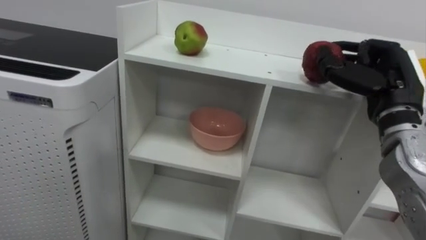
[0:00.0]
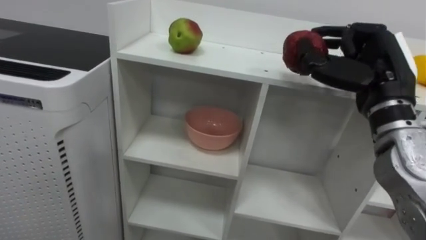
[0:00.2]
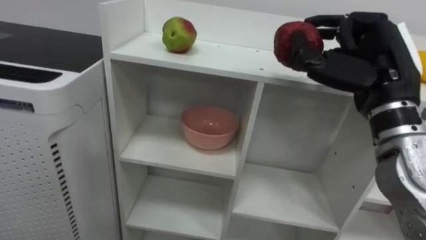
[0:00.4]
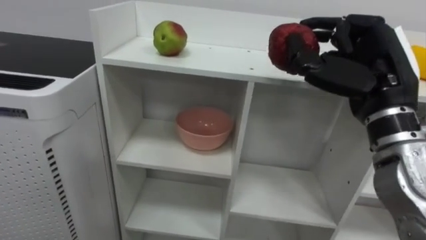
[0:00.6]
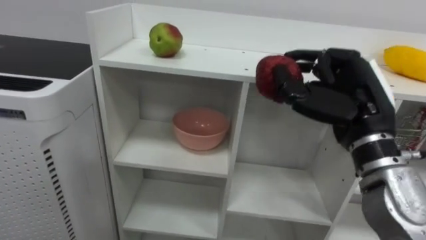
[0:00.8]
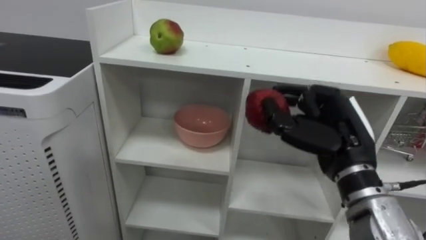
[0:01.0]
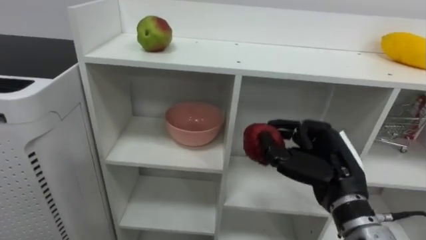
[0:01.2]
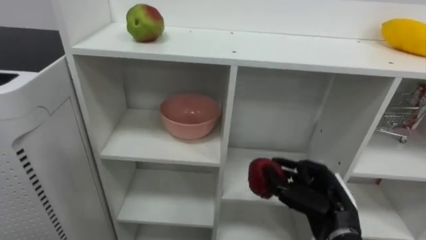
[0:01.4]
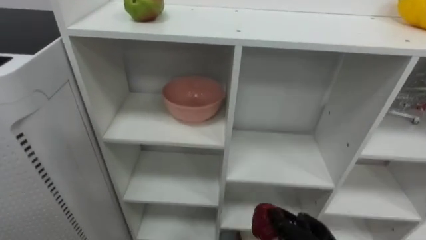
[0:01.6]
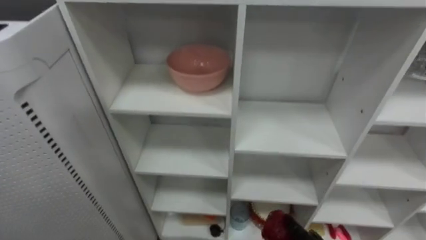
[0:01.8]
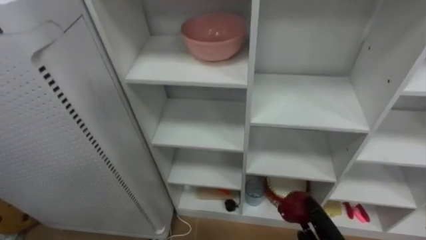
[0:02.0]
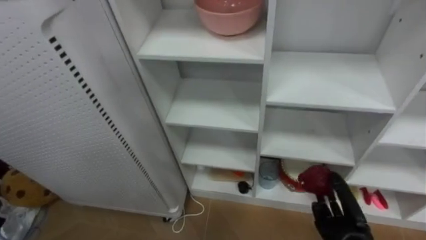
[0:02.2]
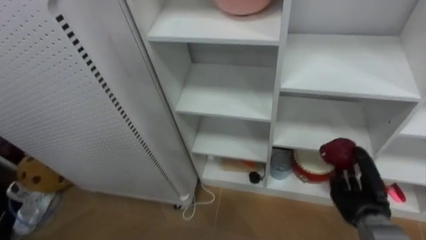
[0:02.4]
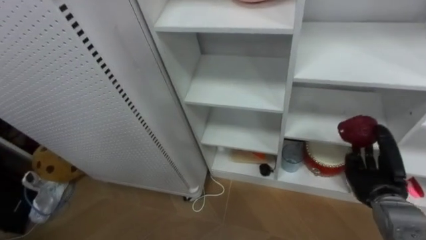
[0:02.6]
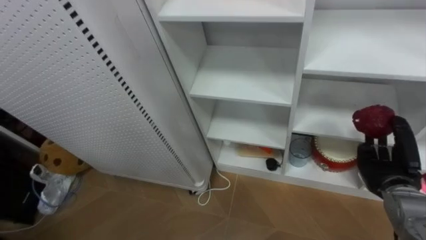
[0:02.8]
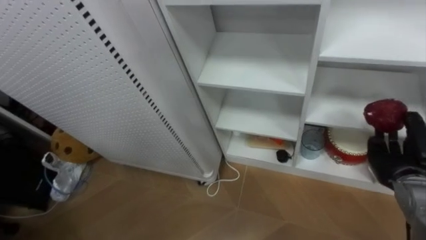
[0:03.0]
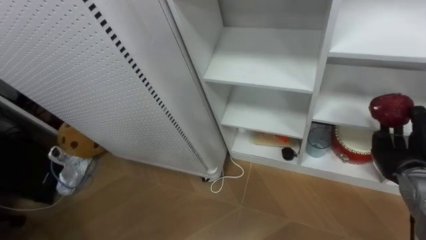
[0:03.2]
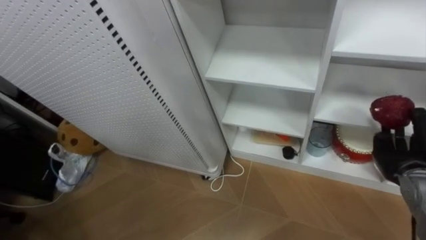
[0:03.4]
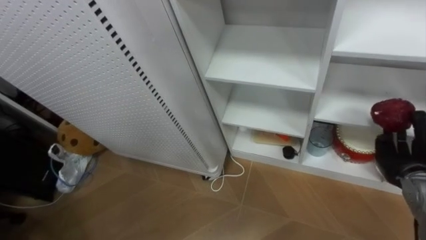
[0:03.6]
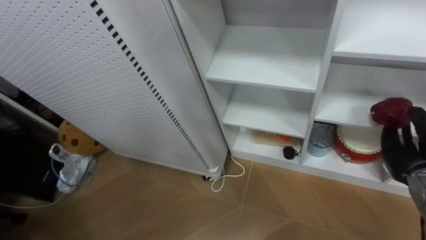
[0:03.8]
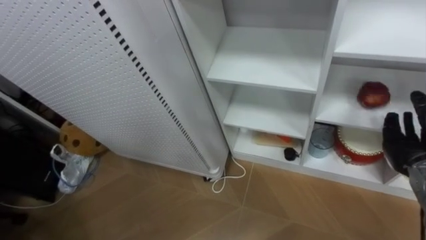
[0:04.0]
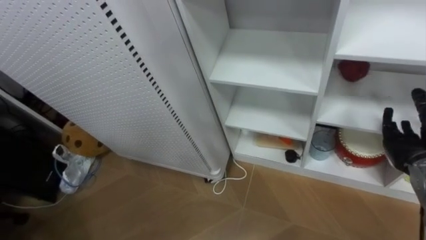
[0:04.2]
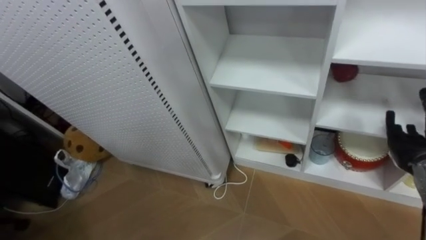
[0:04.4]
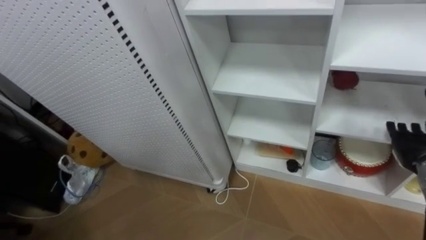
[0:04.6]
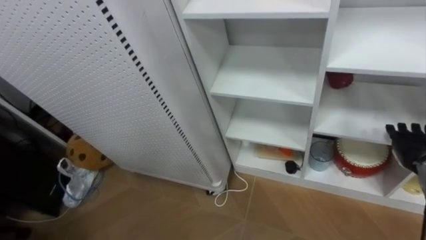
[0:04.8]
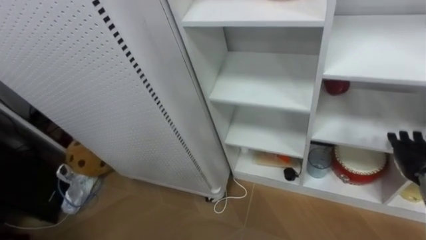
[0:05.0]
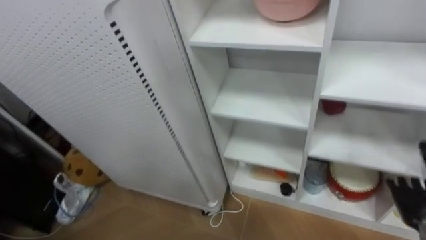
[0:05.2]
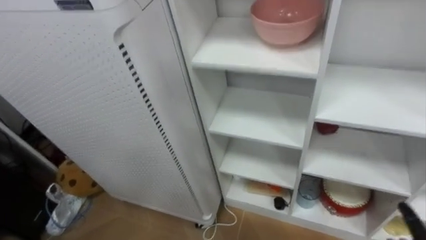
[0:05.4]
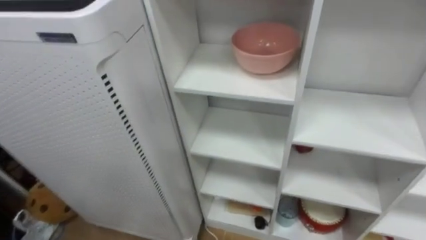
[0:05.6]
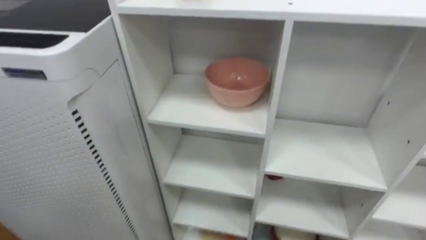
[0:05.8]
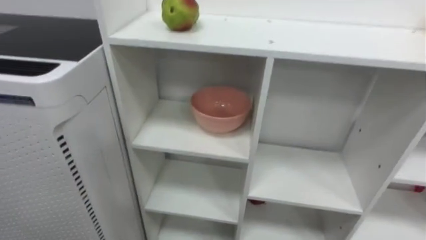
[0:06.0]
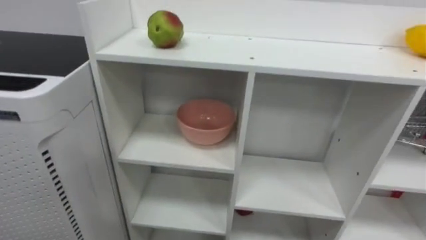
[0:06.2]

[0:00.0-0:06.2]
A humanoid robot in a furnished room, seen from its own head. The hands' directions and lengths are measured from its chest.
Task of the whole recording: Put the apple in the cell in the second column from the left and the second row from the top.
0:03.2 to 0:04.6: The right hand opens its fingers.

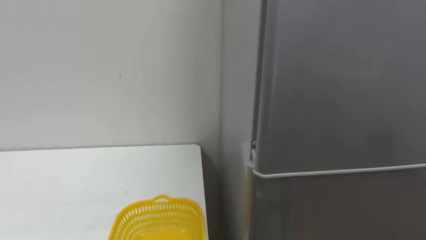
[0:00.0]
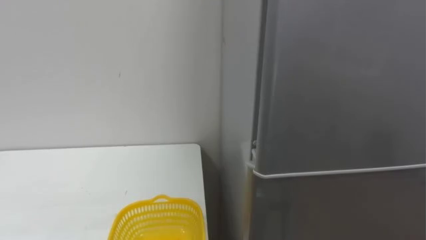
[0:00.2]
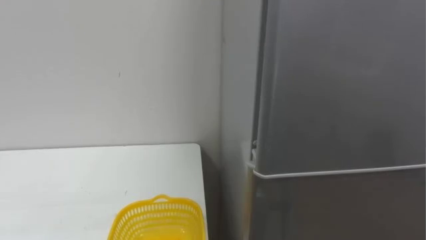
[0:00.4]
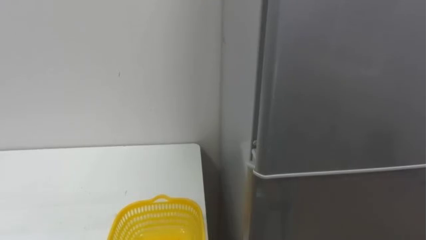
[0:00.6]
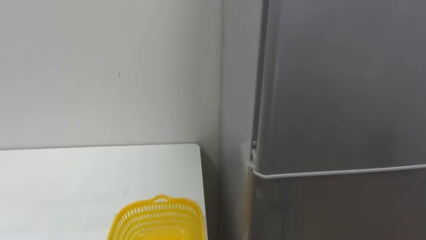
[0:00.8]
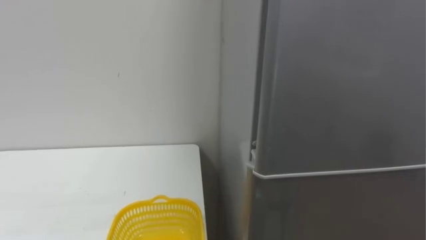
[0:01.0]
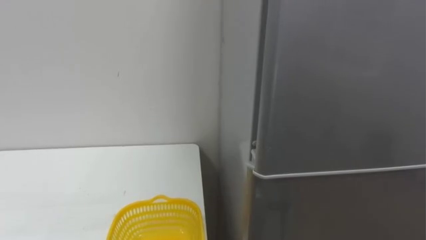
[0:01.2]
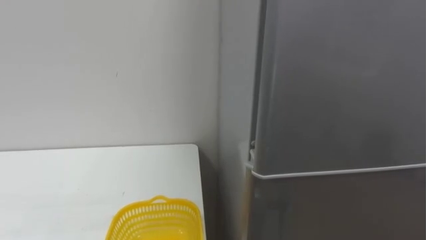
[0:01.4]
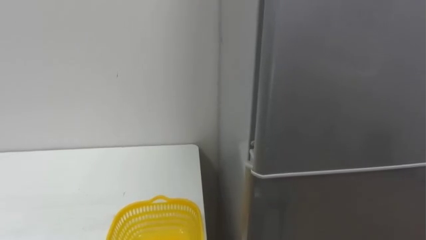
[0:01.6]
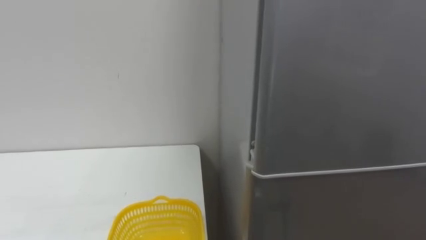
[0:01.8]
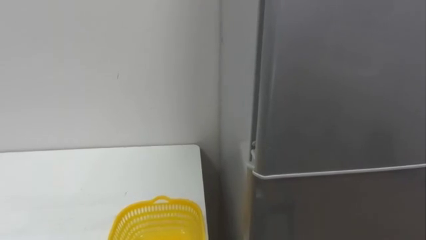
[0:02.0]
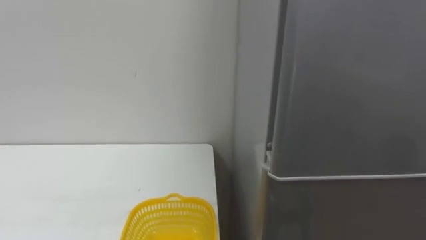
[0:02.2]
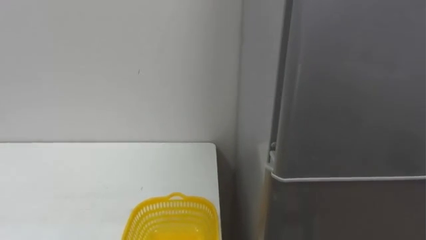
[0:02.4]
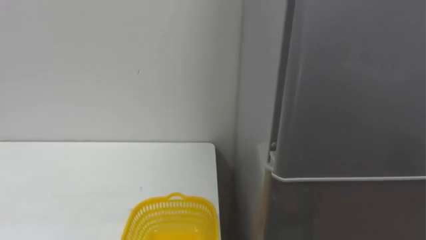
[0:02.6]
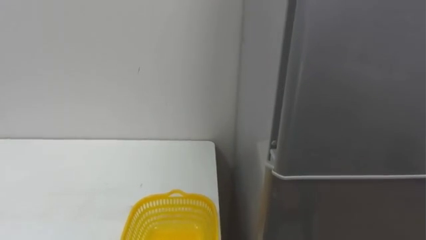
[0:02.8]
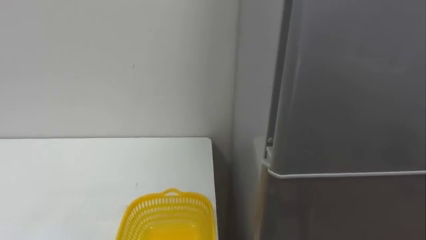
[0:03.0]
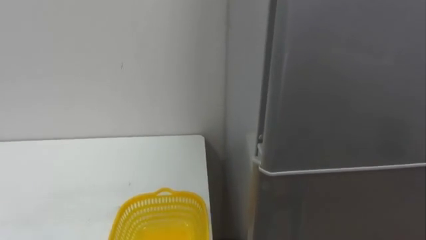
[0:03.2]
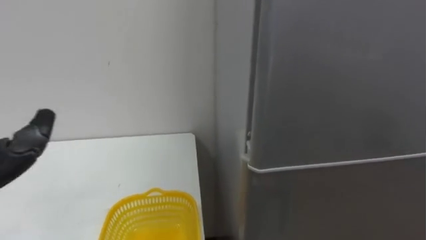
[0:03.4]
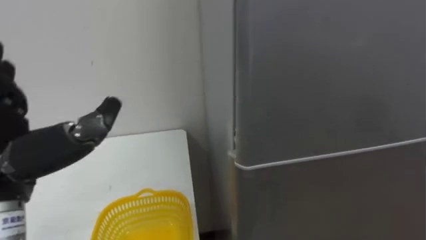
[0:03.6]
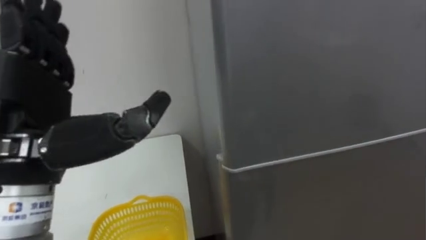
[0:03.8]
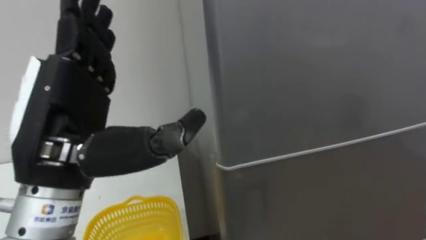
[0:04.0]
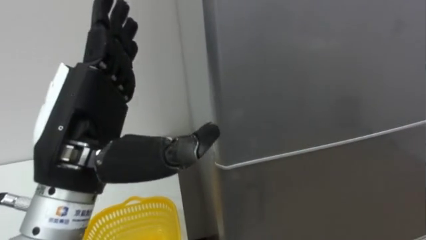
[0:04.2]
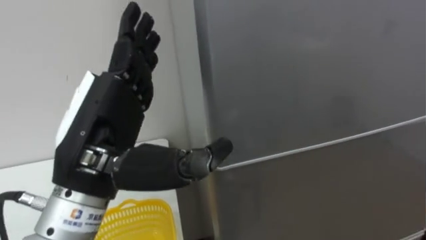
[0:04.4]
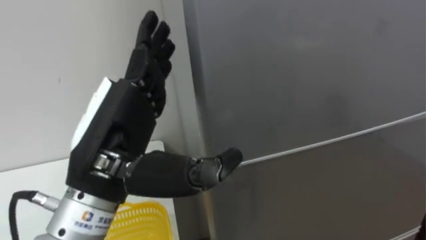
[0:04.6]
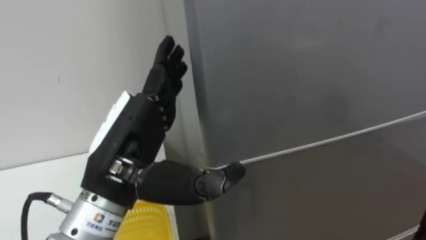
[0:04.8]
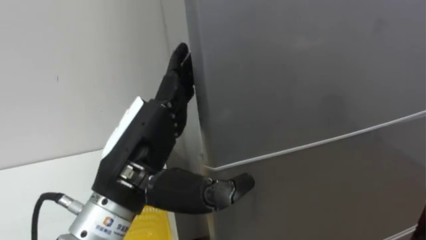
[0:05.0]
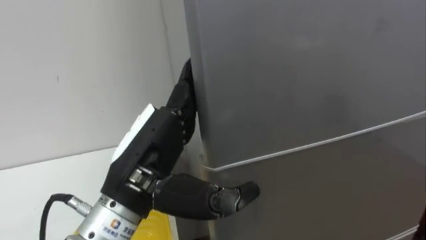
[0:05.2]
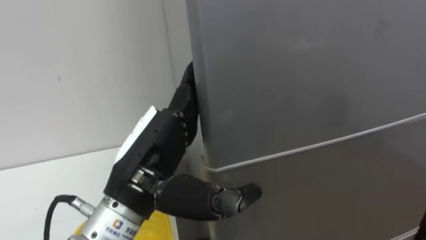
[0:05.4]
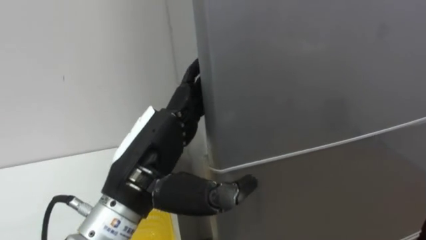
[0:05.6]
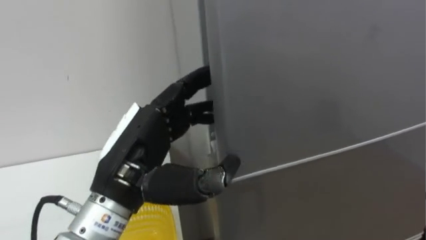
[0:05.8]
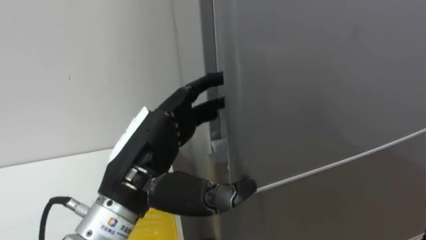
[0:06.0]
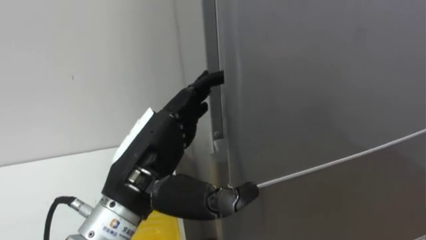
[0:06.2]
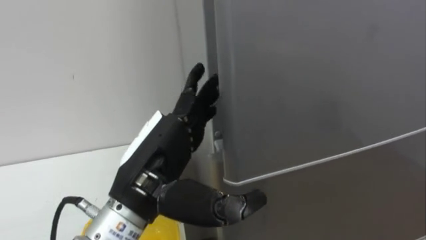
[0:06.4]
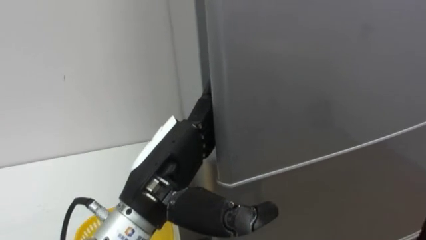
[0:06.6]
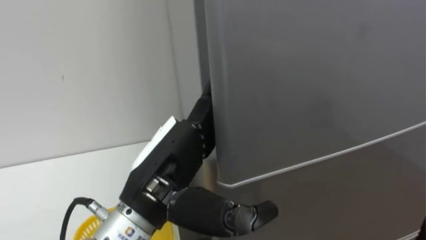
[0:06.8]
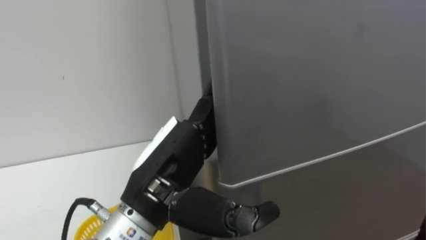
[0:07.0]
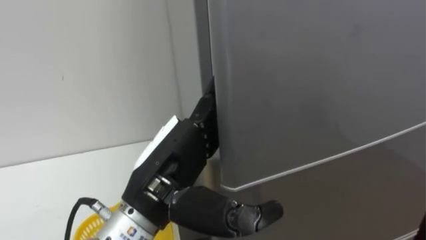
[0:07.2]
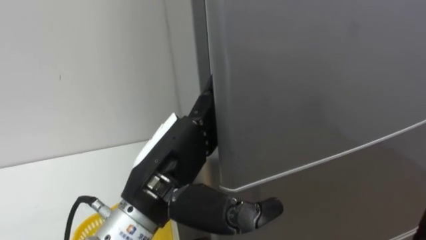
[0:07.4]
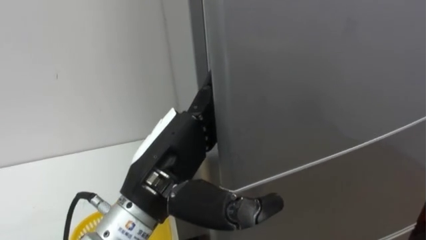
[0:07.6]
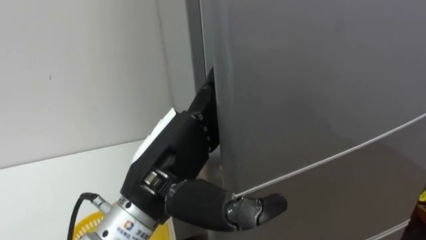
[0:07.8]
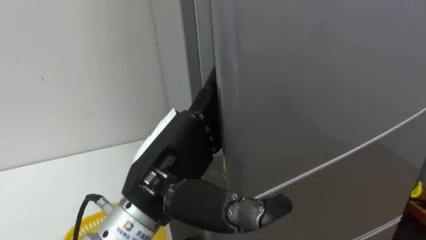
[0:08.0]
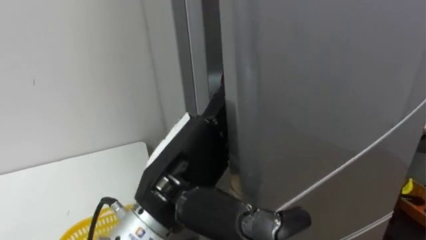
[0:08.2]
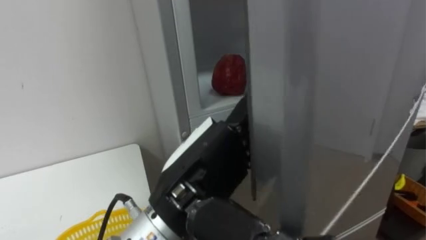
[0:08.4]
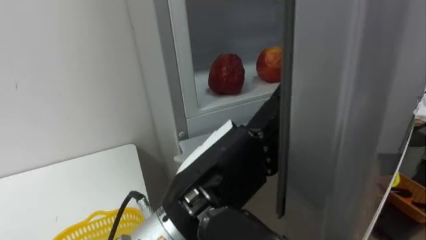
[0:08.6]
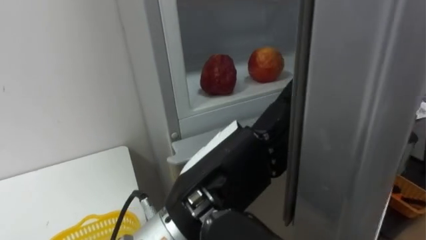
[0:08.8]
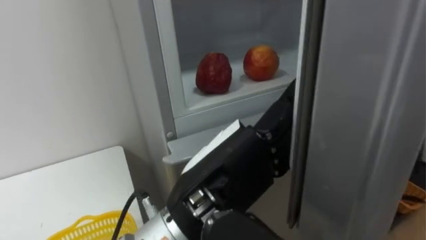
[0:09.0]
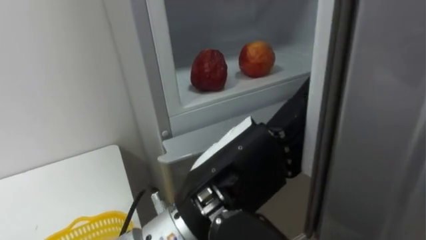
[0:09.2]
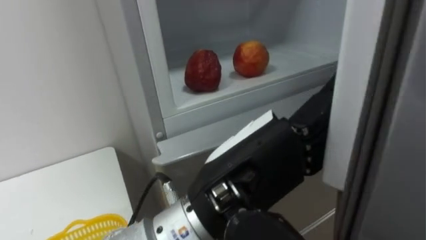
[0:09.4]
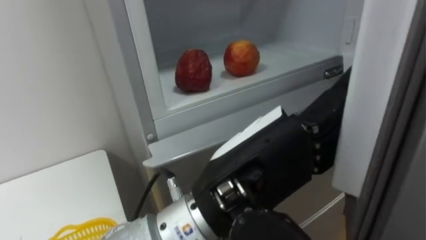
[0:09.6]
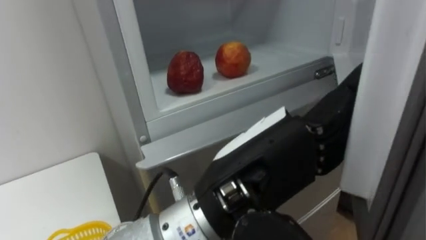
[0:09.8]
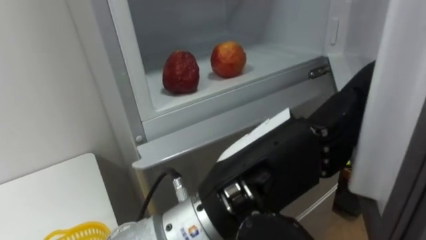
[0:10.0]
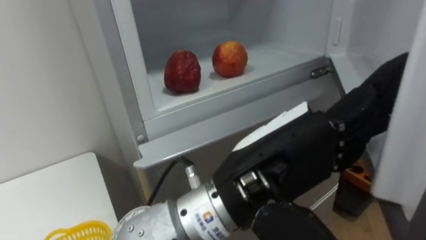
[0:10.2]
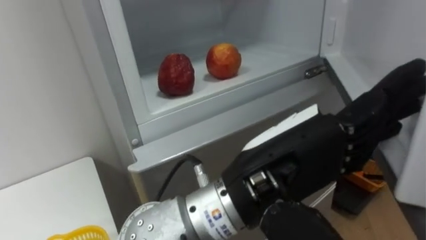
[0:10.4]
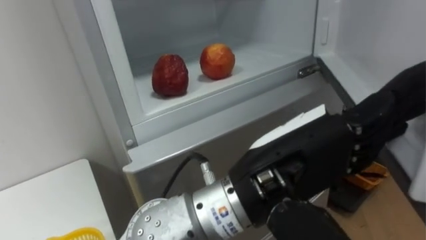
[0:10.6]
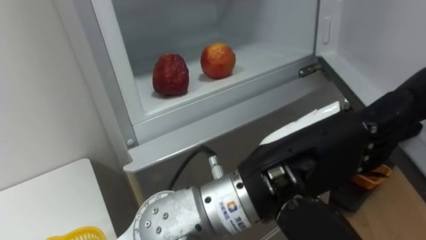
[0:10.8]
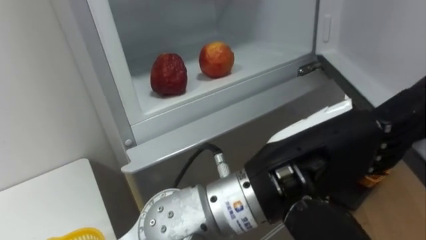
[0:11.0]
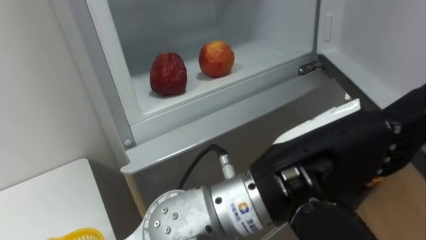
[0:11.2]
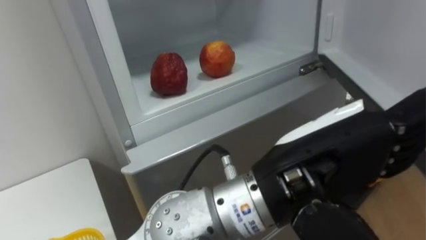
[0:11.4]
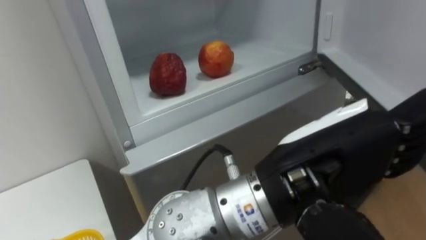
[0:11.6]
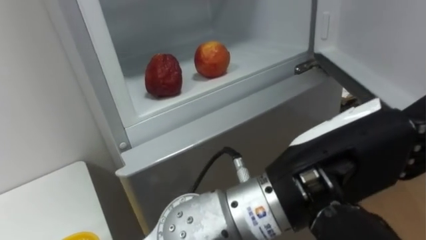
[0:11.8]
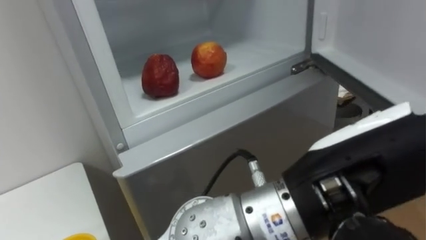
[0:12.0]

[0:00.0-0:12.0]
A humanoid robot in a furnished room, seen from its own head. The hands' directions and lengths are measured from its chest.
Task of the whole recording: Open the refrigerator door, take out the apple and the pomegranate, place them in the fruit basket on the left, and close the refrigerator door.
0:04.4 to 0:06.0: The left hand ends up roughly 5 cm from where it was.
0:07.6 to 0:09.0: The left hand heads to the right, covering about 5 cm.
0:09.0 to 0:10.4: The left hand is displaced to the right by some 5 cm.
0:10.4 to 0:12.0: The left hand changes place by approximately 5 cm.
